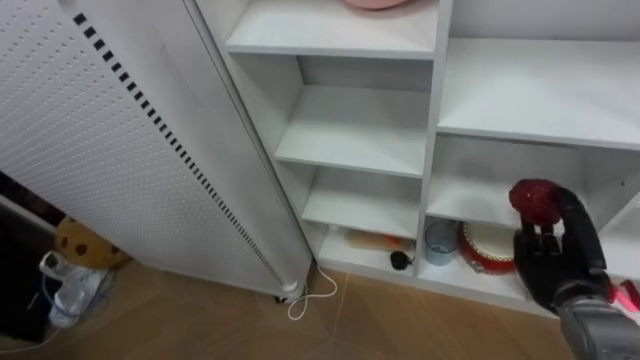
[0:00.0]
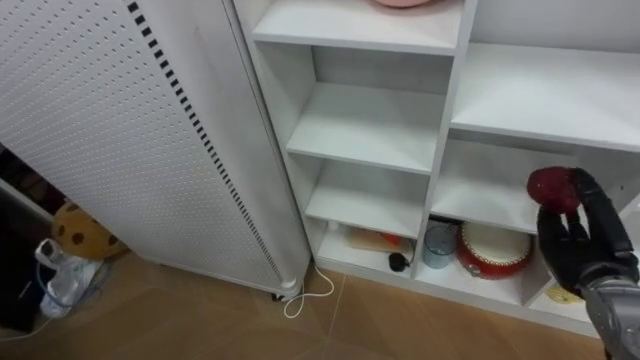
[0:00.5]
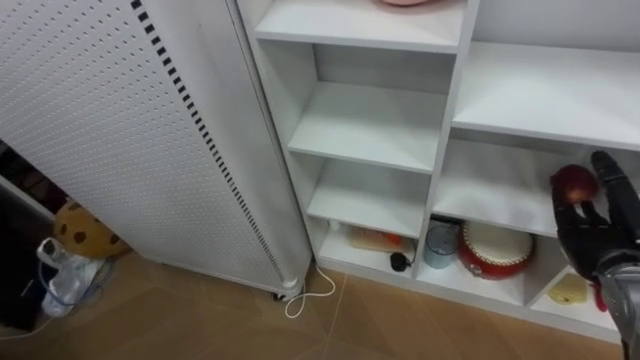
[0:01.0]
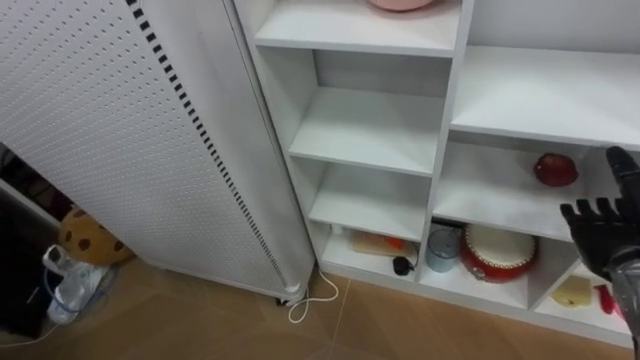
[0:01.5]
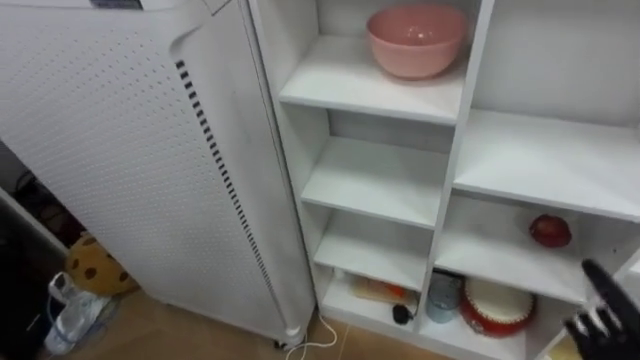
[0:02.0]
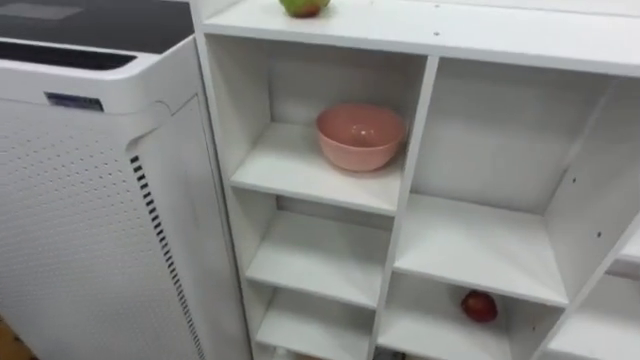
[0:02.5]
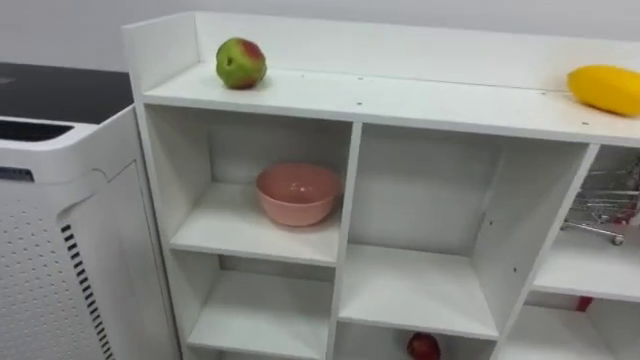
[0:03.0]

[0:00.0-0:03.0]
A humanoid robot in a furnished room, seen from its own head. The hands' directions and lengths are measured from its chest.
Task of the whole recording: Put the apple in the cell in the second column from the left and the second row from the top.
0:00.0 to 0:01.5: The right hand travels to the right and upward by some 10 cm, and opens its fingers.

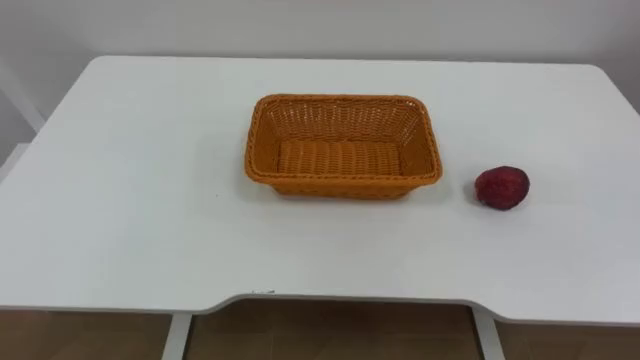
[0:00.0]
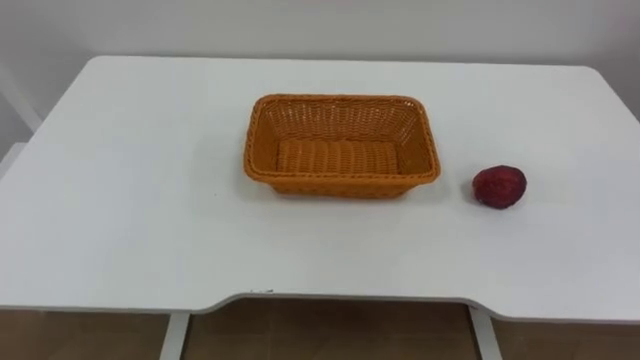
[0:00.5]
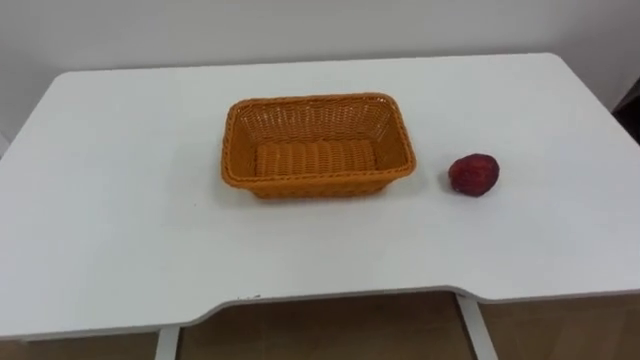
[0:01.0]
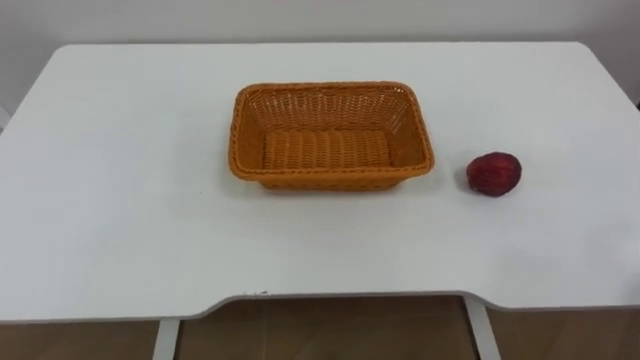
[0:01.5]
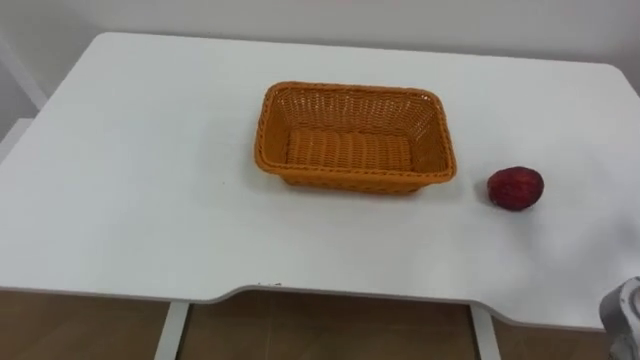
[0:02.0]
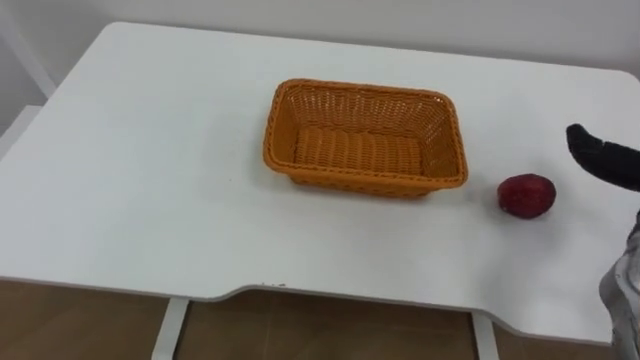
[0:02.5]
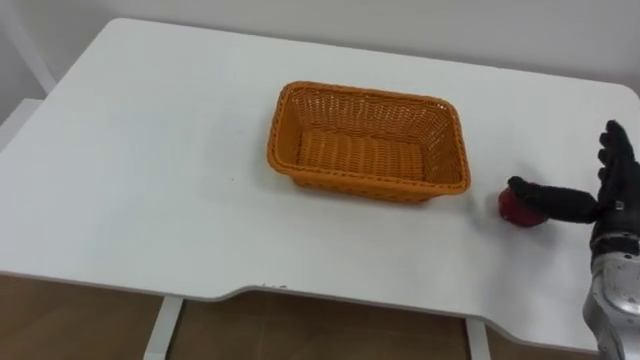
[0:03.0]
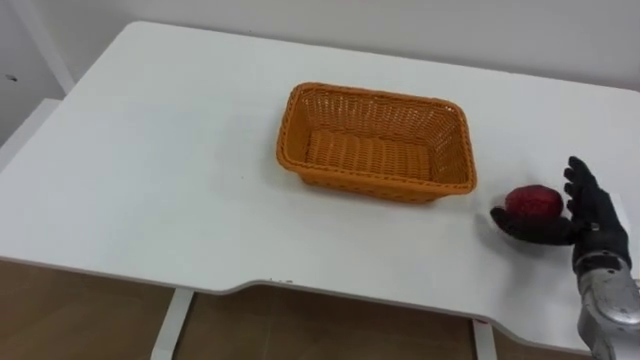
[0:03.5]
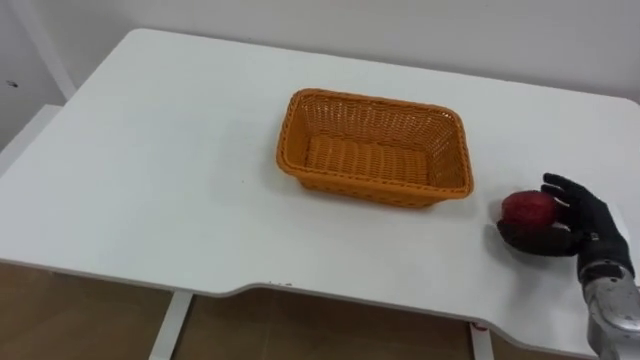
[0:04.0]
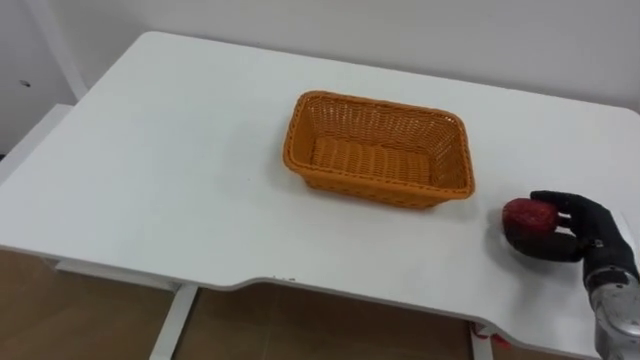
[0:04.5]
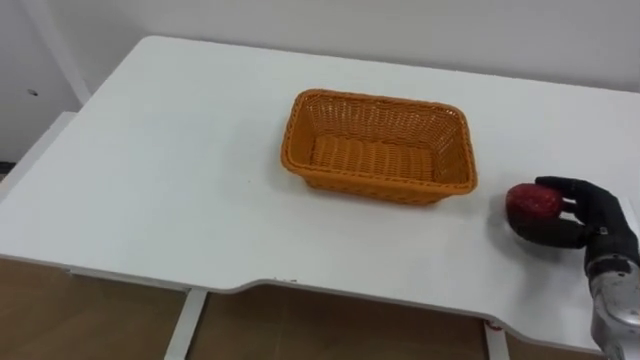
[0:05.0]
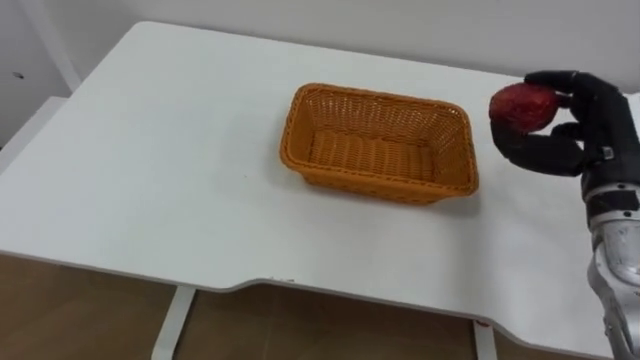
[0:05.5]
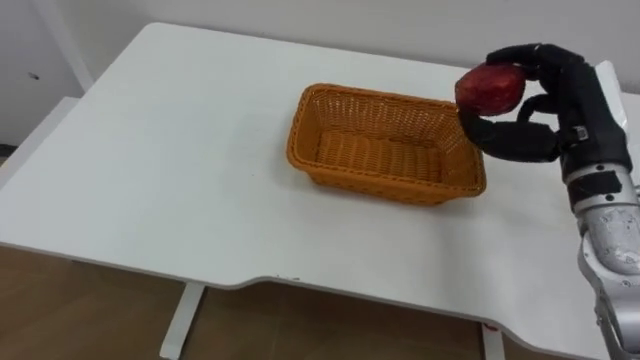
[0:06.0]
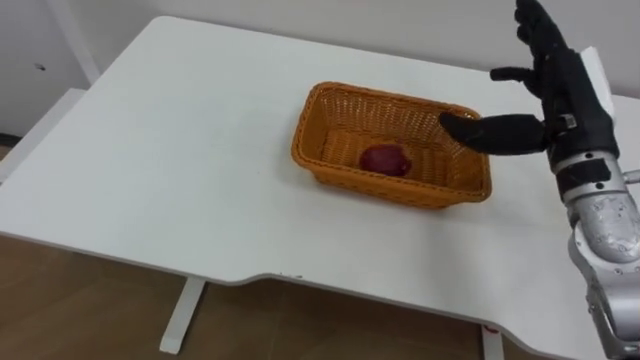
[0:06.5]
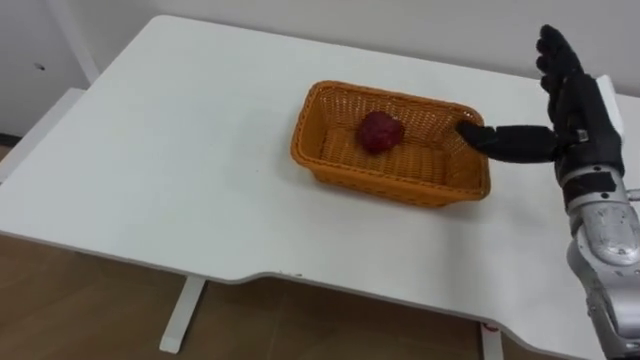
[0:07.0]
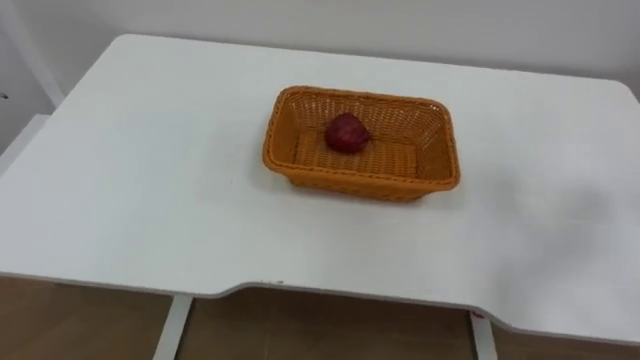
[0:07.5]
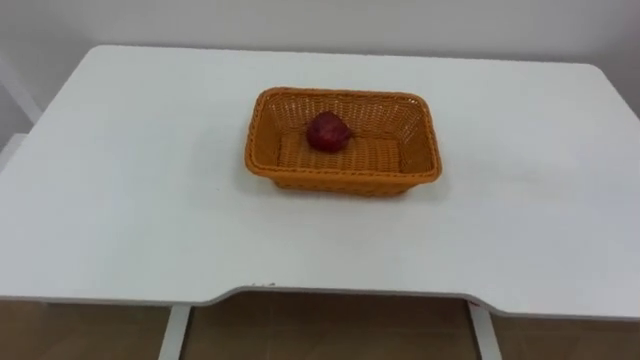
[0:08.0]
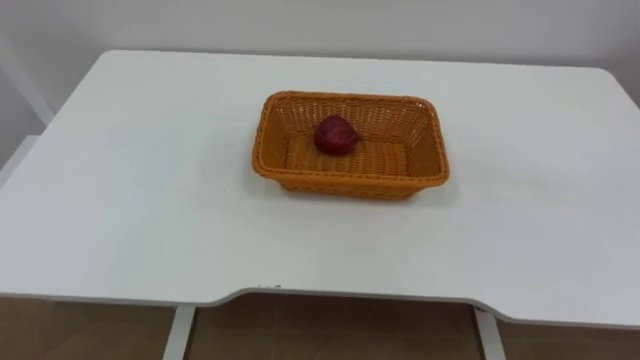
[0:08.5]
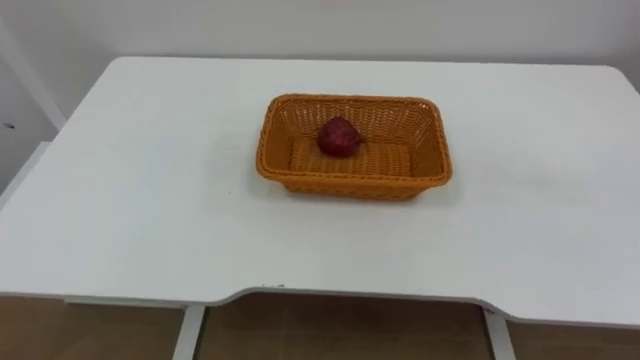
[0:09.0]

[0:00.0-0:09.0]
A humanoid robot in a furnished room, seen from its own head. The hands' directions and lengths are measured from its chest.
Task of the whole recording: Pick the apple and place it in the box.
0:04.5 to 0:07.0: The right hand goes some 20 cm upward, to the left and forward, and opens up.

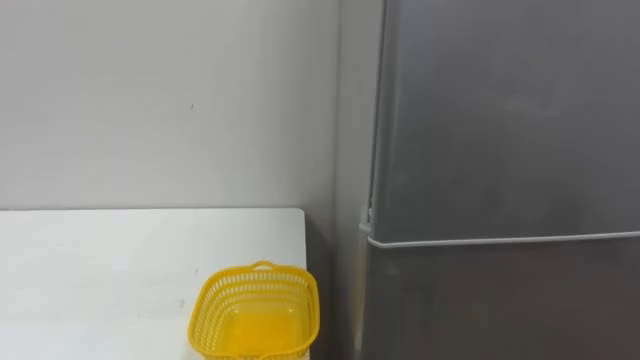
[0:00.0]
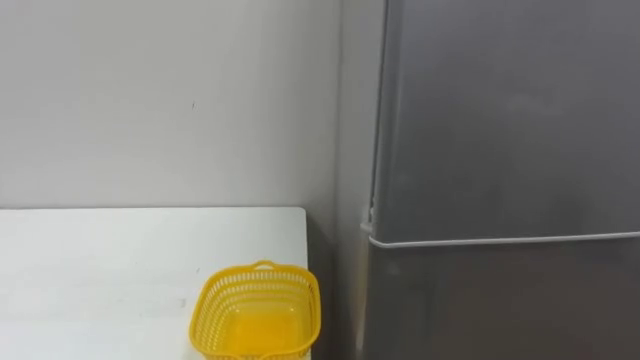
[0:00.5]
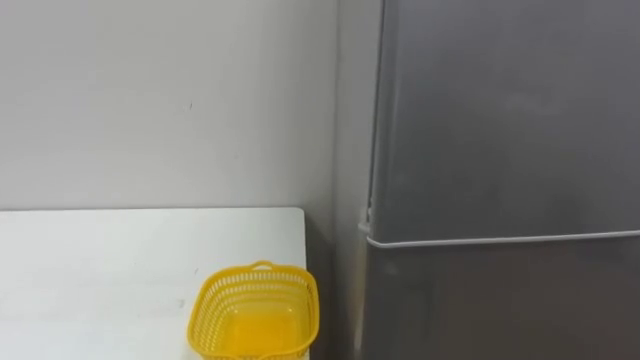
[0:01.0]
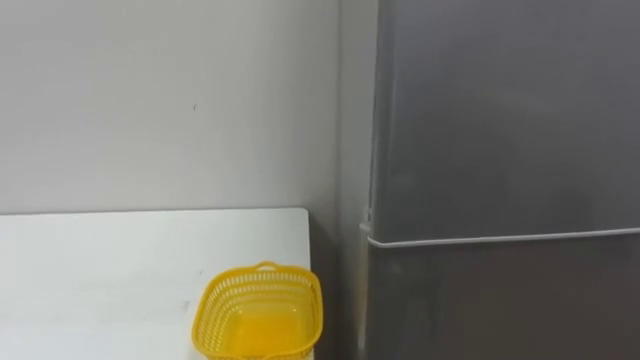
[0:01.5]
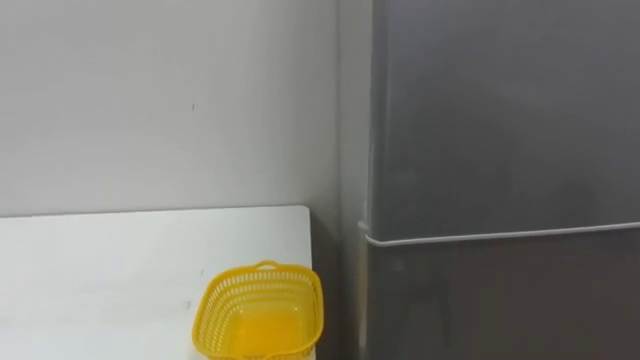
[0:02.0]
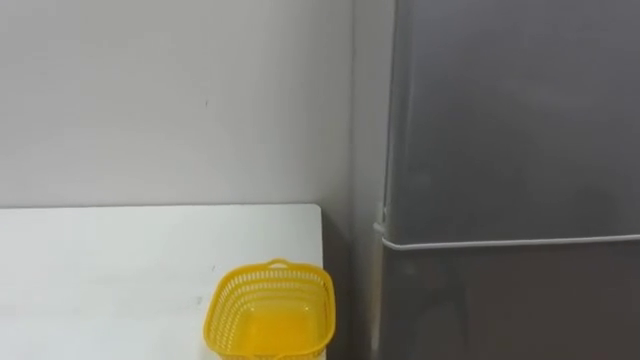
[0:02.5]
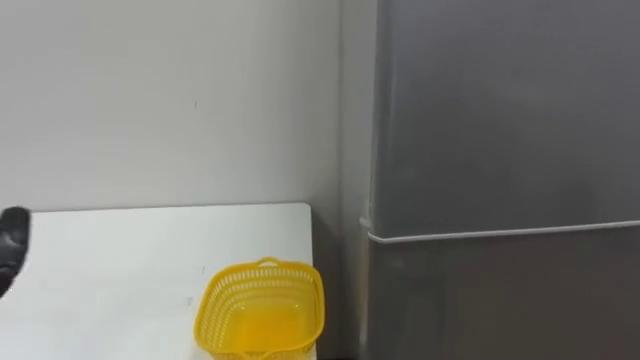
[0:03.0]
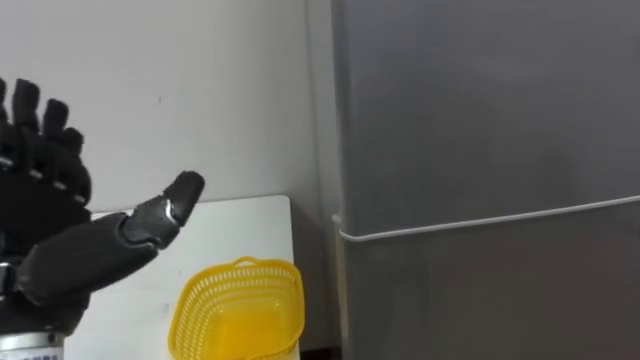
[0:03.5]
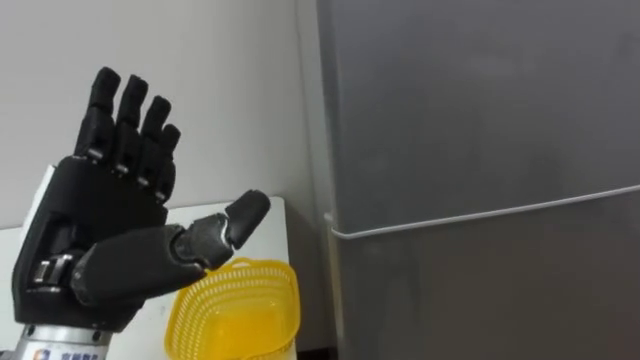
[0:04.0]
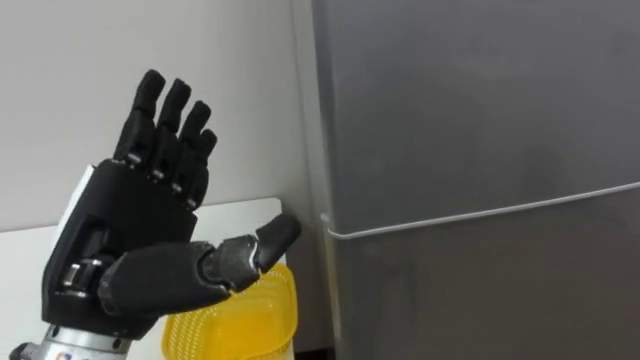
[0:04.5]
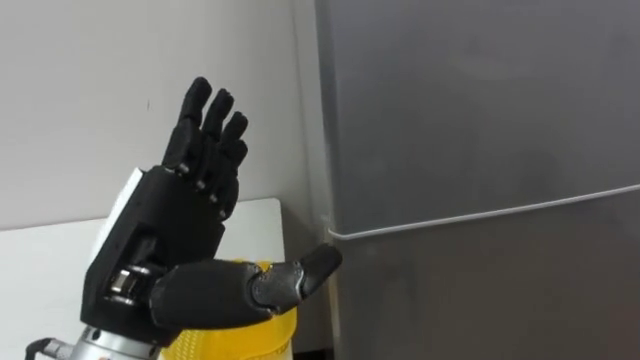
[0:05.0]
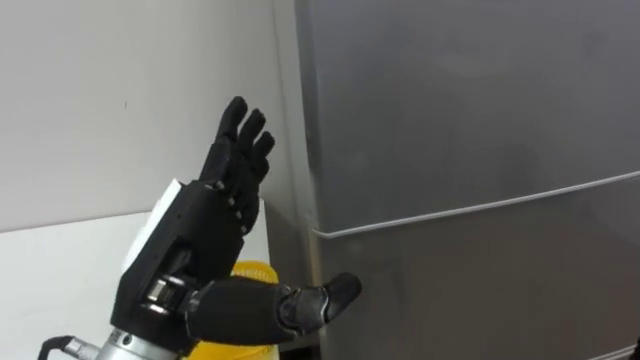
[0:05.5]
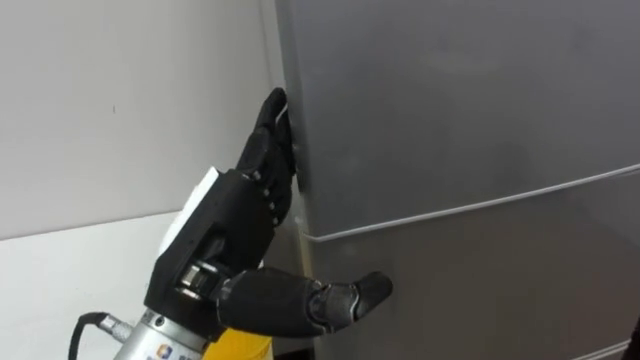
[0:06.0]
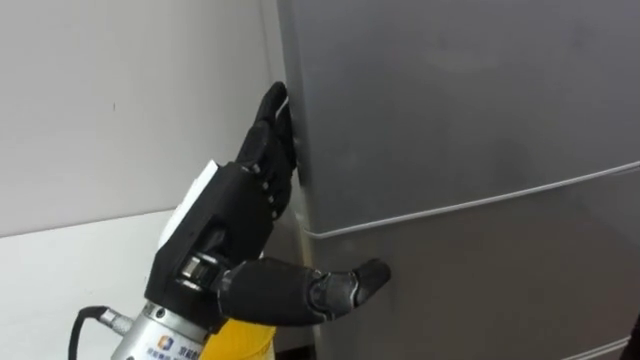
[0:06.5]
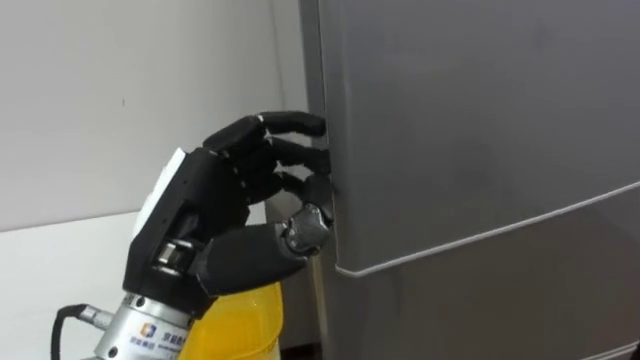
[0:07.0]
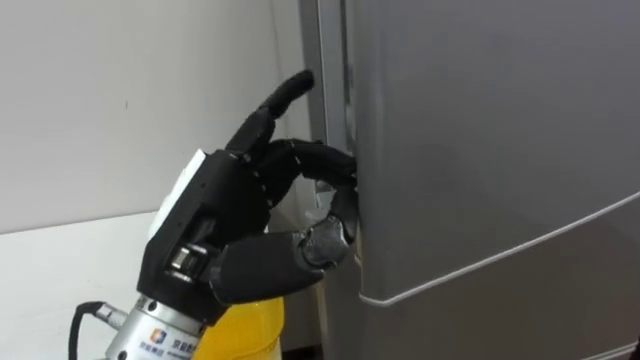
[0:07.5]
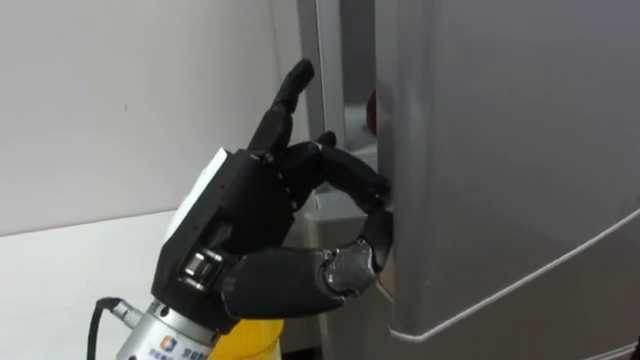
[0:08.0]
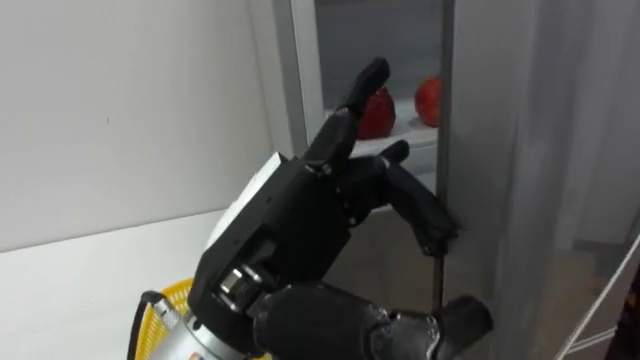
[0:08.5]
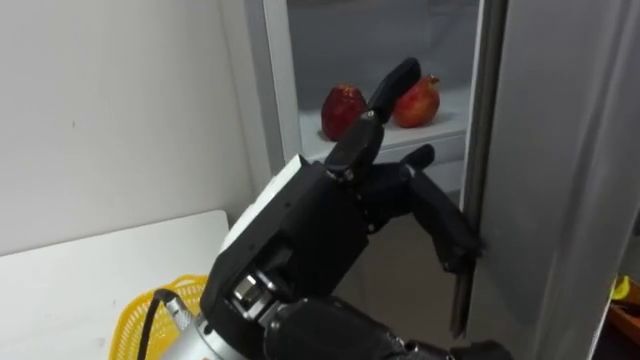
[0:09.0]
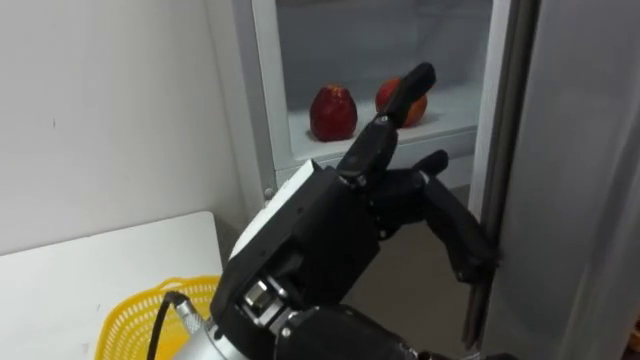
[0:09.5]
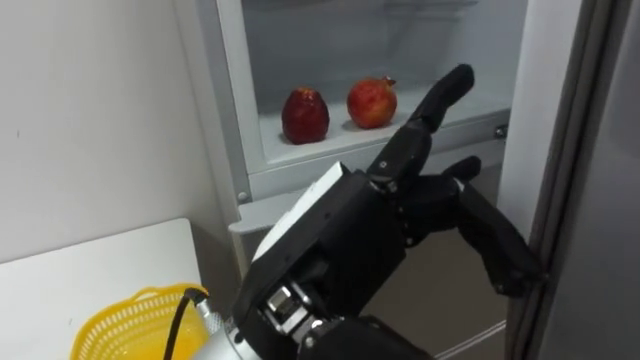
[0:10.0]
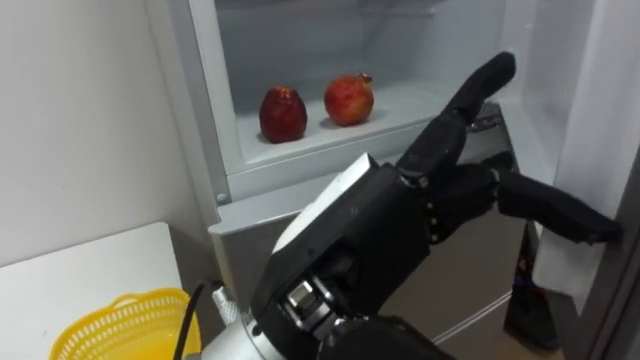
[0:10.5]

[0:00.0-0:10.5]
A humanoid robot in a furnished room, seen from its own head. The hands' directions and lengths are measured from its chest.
Task of the whole recording: Open the refrigerator door, take out the apple and the pomegranate, place them in the fruit basket on the left, and close the refrigerator door.
0:04.0 to 0:06.5: The left hand travels to the right by about 10 cm.
0:06.5 to 0:08.5: The left hand ends up approximately 5 cm from where it was, and closes, then reopens.
0:08.5 to 0:10.5: The left hand changes place by roughly 5 cm.
